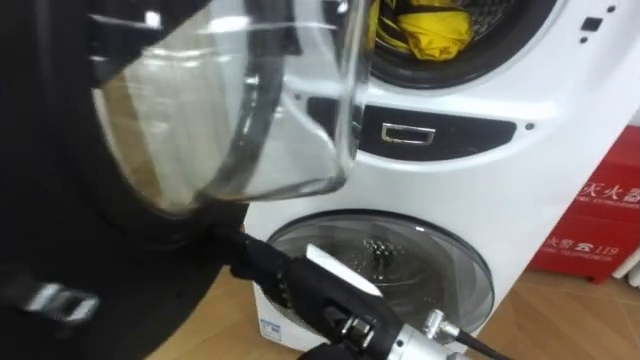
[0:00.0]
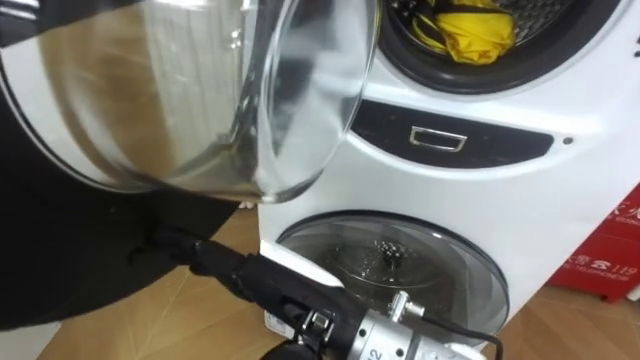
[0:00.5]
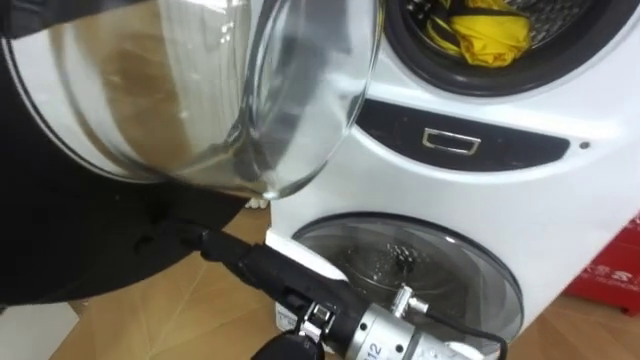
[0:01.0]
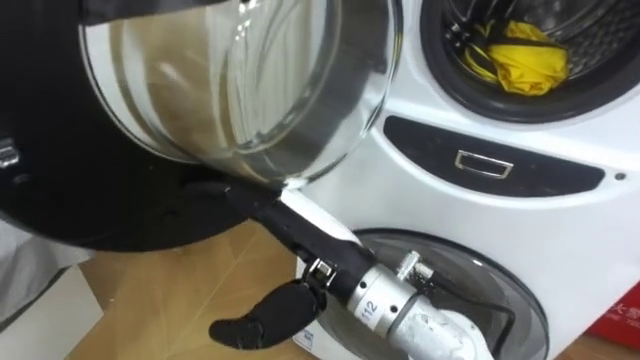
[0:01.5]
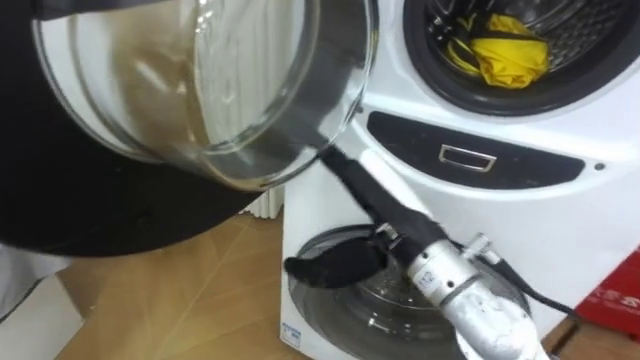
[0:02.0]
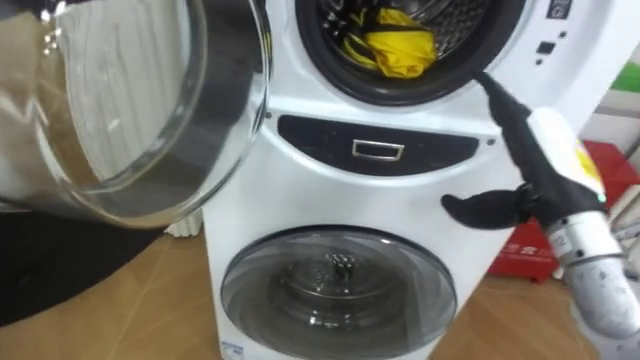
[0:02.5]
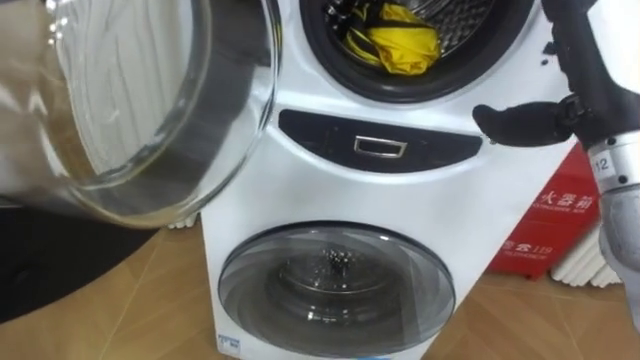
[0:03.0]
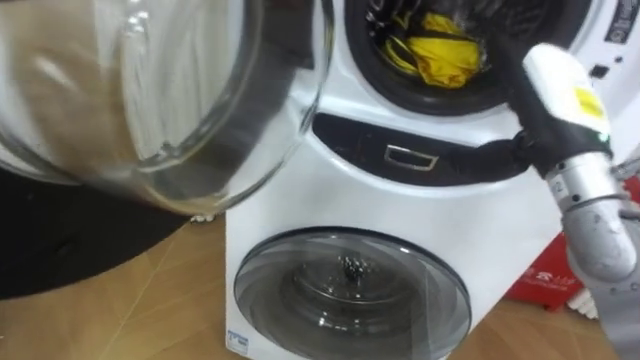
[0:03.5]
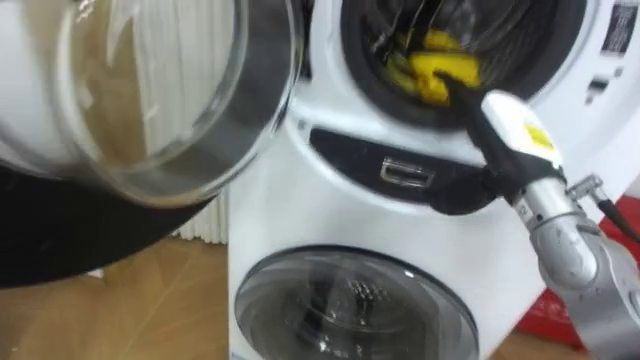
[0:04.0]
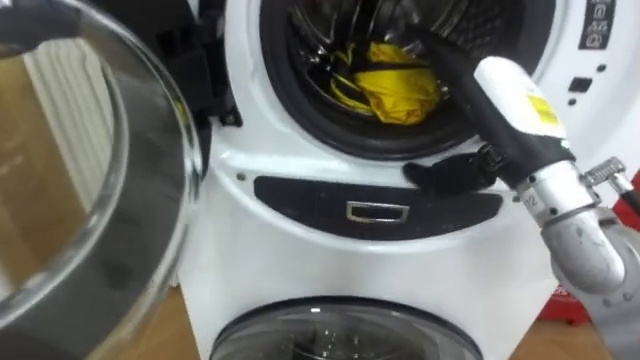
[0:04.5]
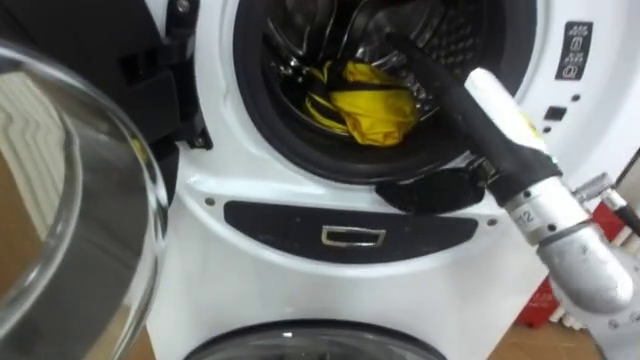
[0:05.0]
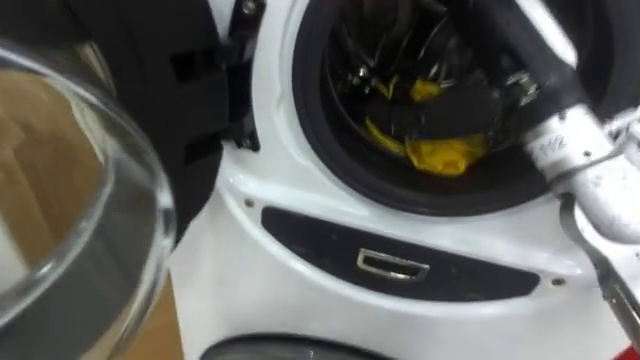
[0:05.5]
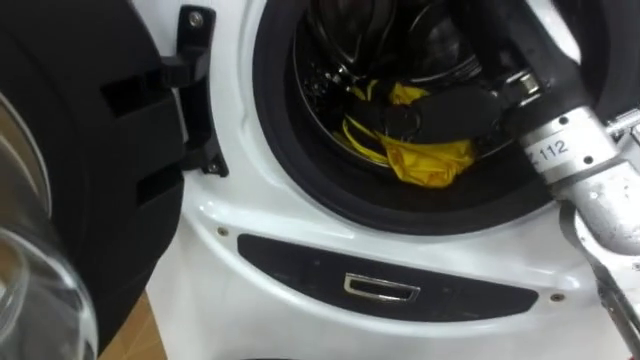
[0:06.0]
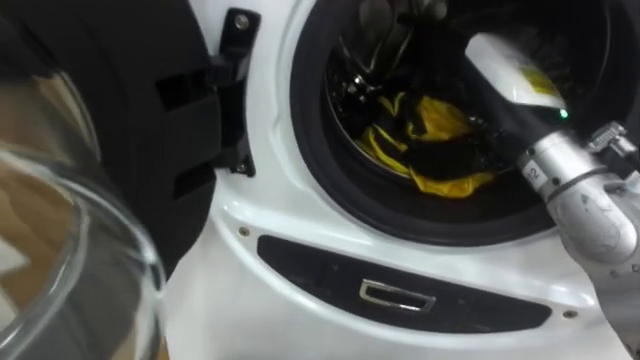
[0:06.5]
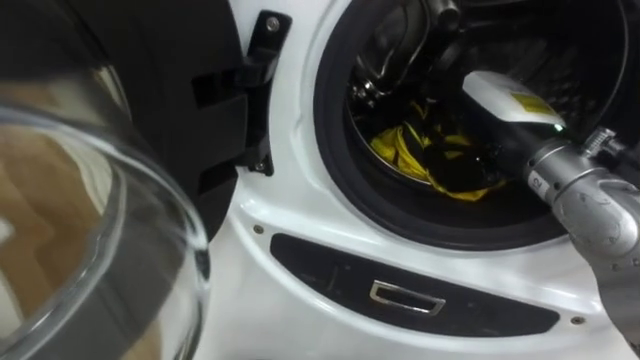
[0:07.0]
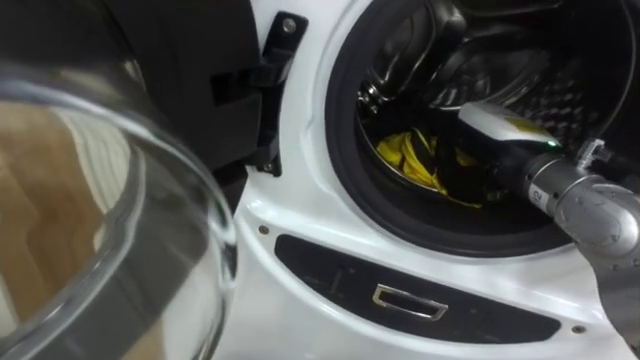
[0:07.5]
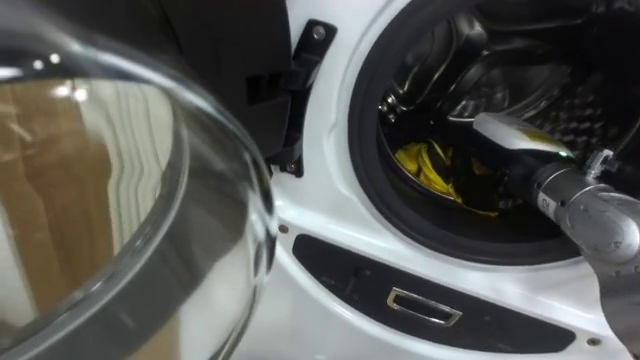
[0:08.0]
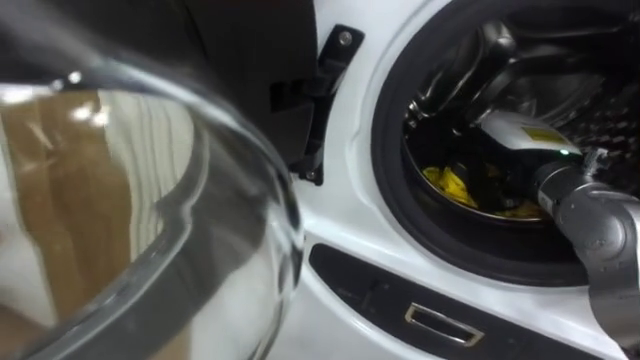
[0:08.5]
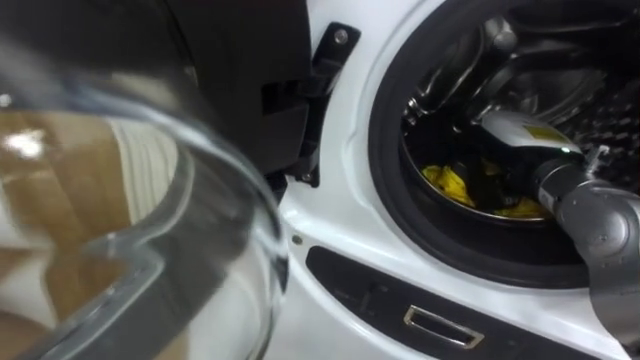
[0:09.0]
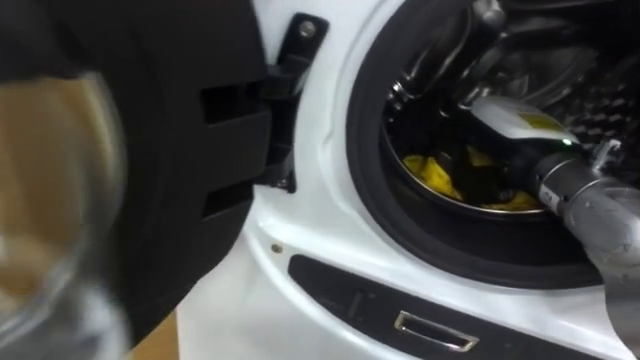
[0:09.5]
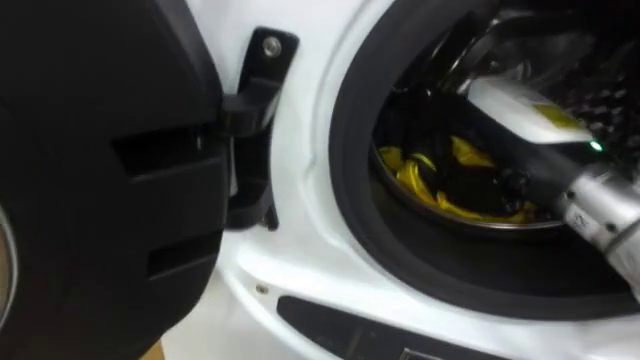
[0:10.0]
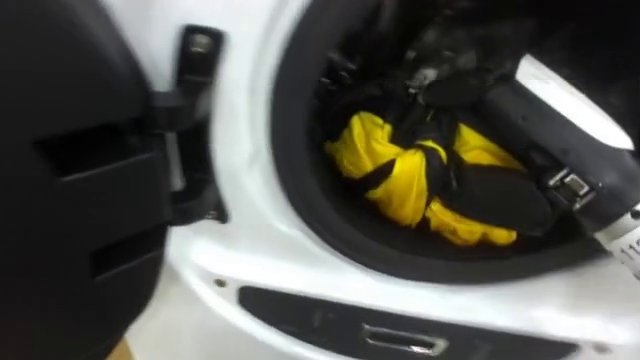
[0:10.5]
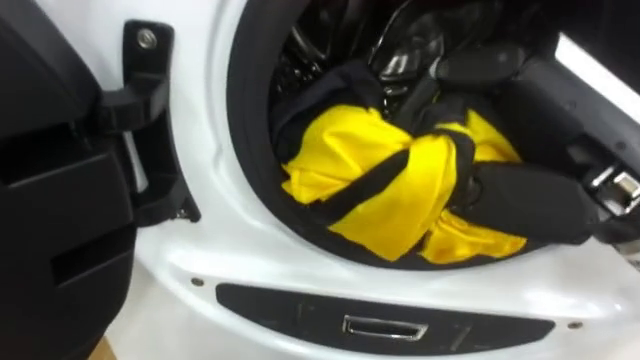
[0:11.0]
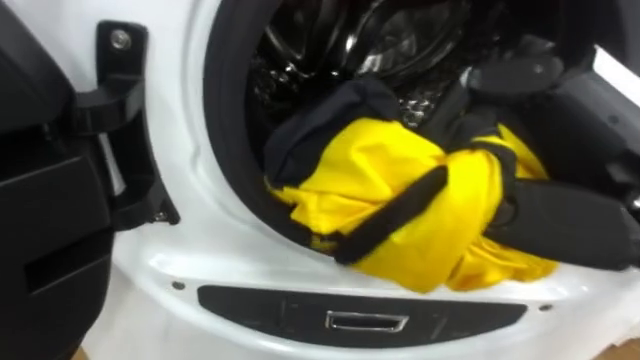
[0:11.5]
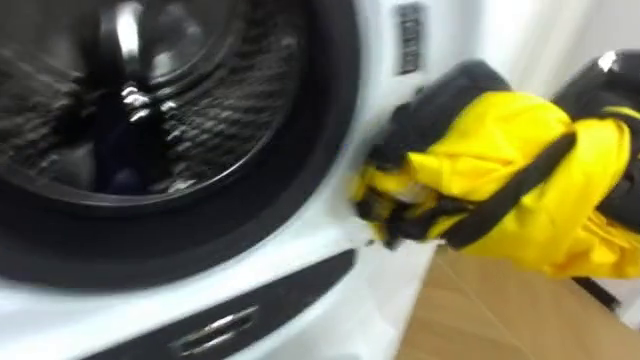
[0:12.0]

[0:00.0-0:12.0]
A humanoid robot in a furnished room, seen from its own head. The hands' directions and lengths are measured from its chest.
Task of the whole recording: Open the washing machine door, take out the yellow clothes, place them in the box on the right, and close the washing machine door.
0:00.0 to 0:02.0: The right hand moves forward, roughly 10 cm.
0:02.0 to 0:04.0: The right hand moves to the right and forward, some 15 cm.
0:04.0 to 0:06.0: The right hand heads upward, covering some 10 cm.
0:06.0 to 0:08.0: The right hand shifts roughly 15 cm downward.
0:08.0 to 0:10.0: The right hand goes about 10 cm upward and backward, and closes up.

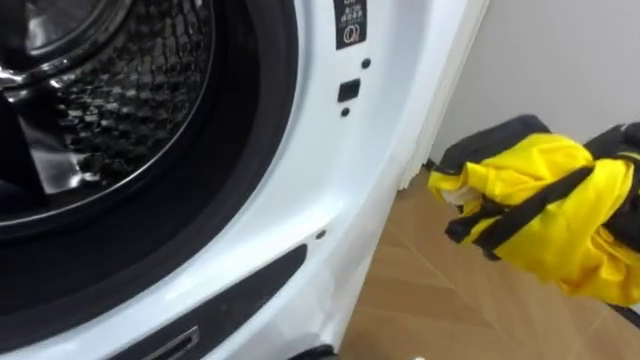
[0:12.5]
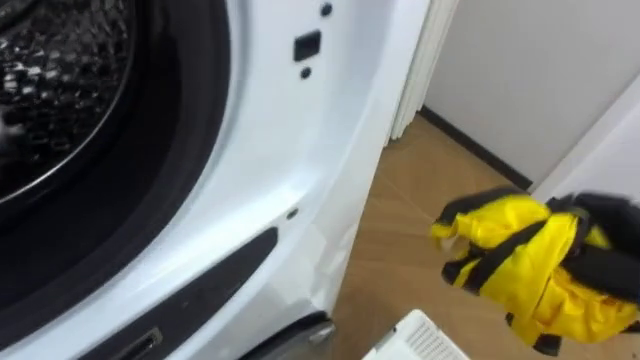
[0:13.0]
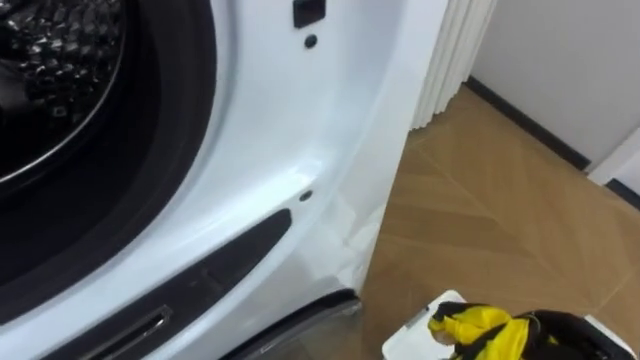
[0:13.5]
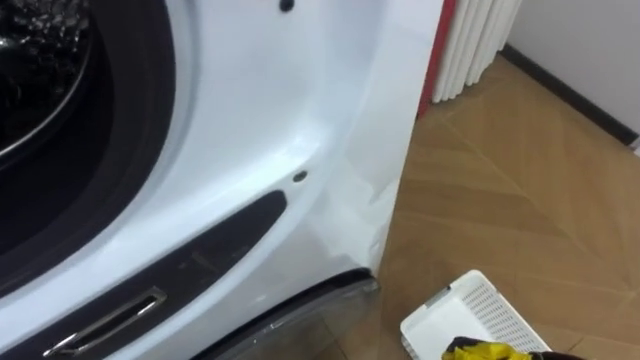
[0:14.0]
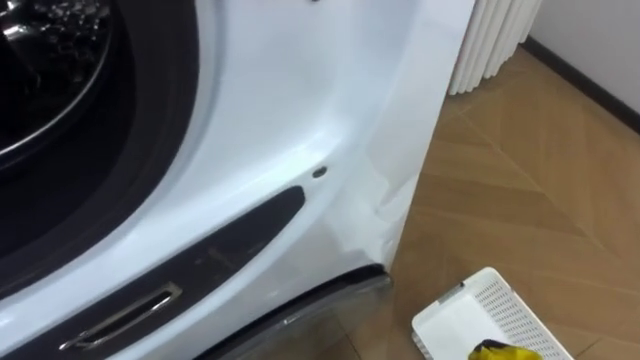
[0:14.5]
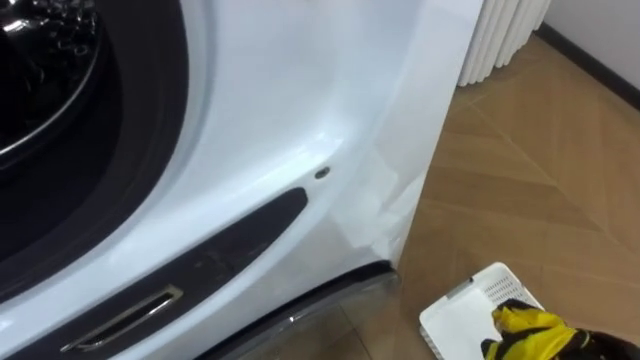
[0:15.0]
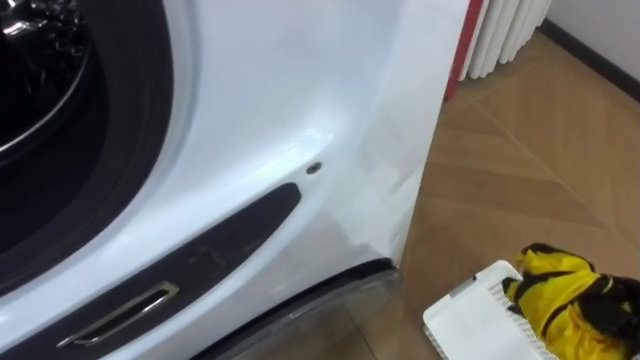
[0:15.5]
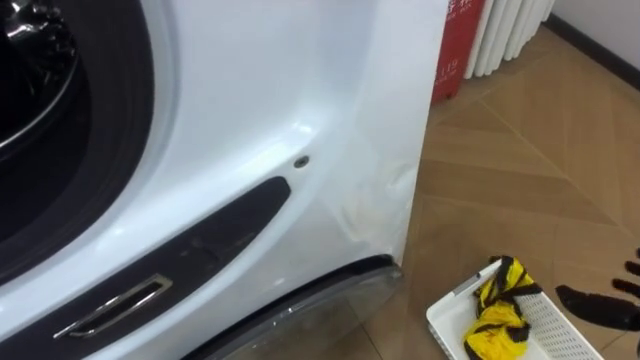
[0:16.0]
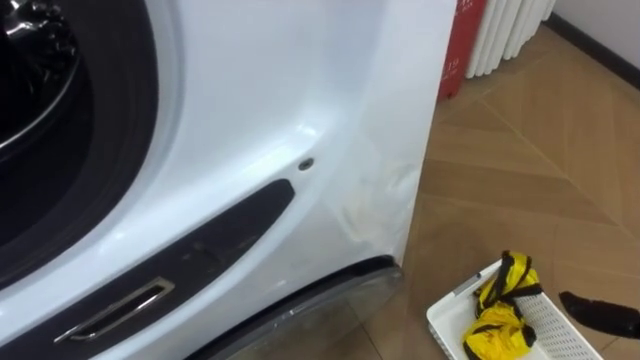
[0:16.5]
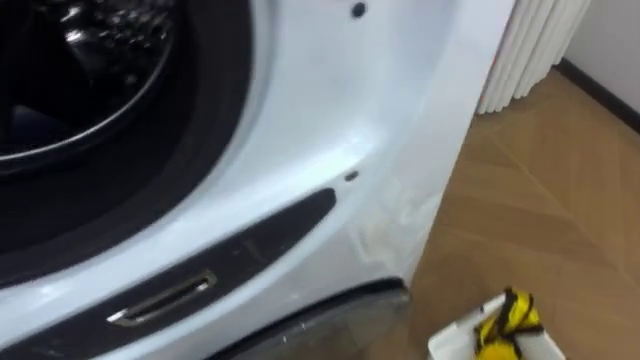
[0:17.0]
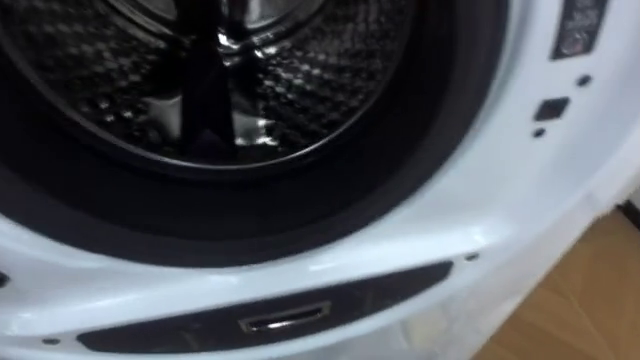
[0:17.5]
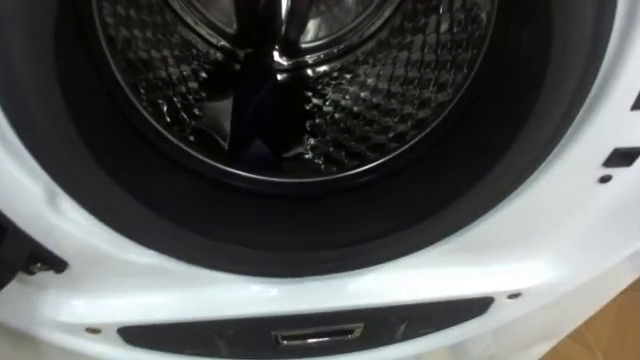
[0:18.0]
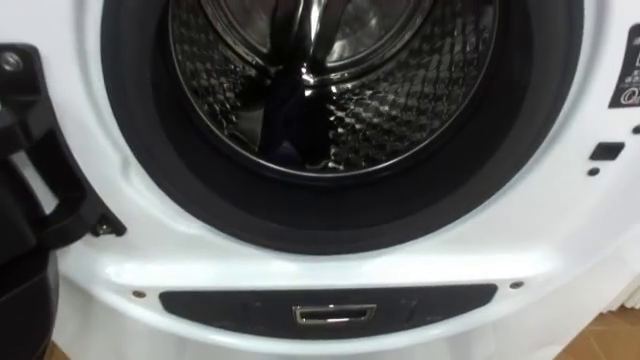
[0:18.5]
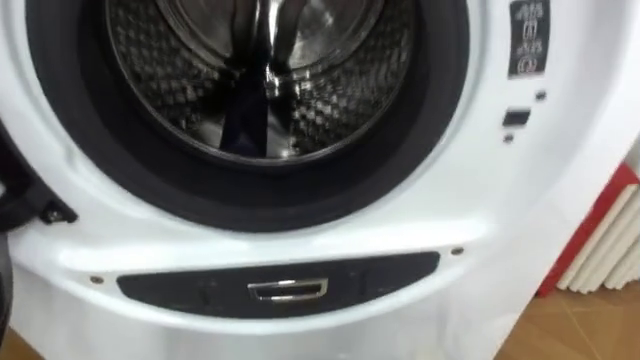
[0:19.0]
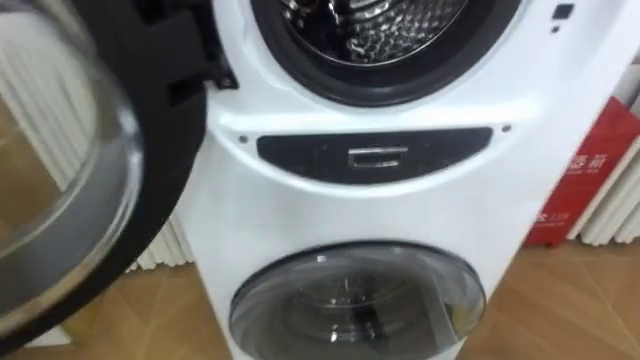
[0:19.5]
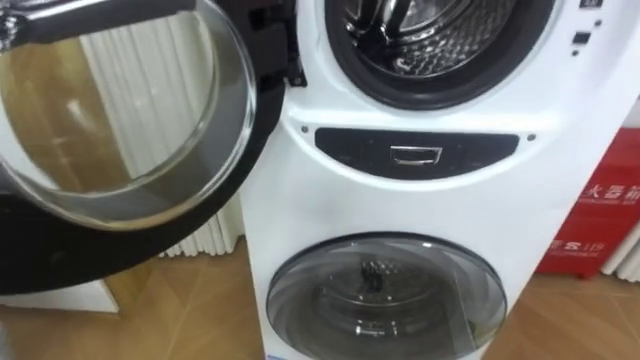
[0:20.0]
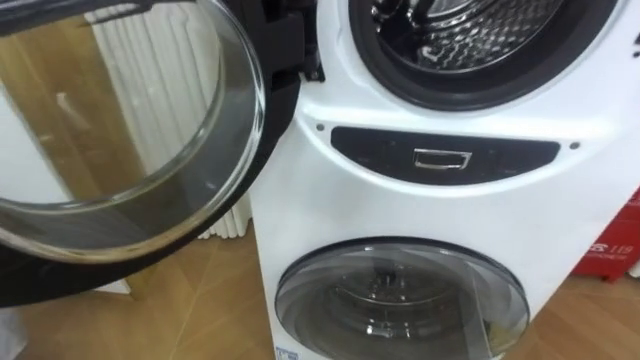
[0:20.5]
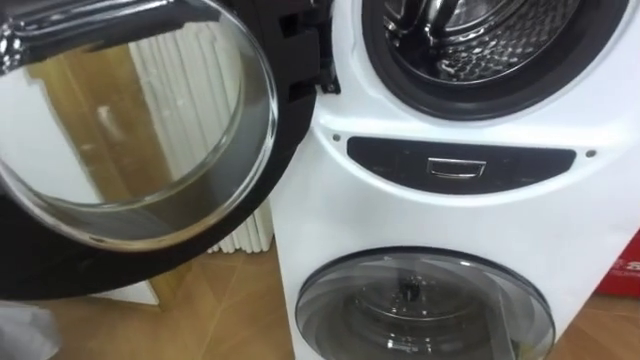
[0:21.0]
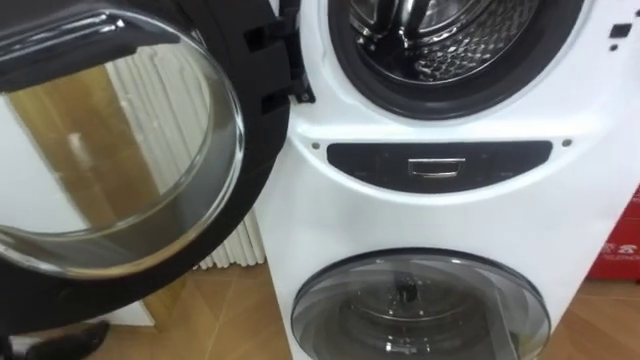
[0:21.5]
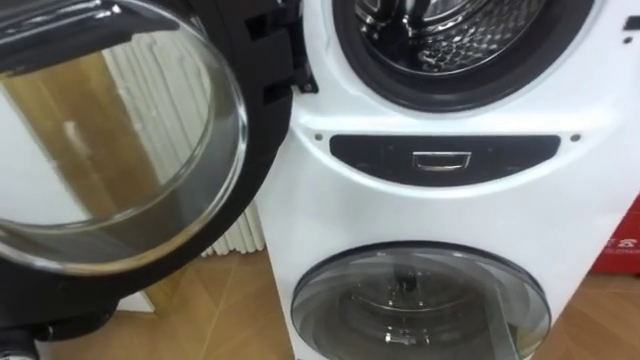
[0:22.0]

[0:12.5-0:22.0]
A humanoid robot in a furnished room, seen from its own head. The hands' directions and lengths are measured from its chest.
Task of the whole recording: Open the washing machine door, take out the yellow clothes, place them in the box on the right, and close the washing machine door.
0:16.5 to 0:18.0: The robot rotates roughly 15 degrees to its left.
